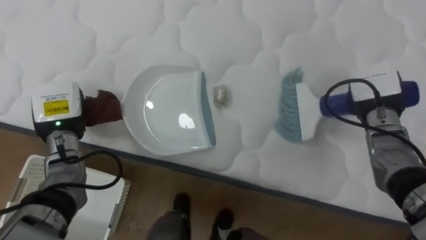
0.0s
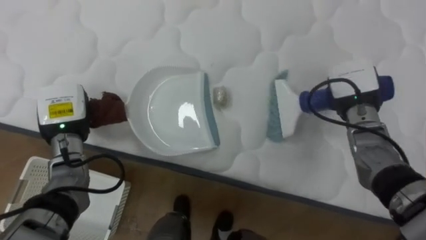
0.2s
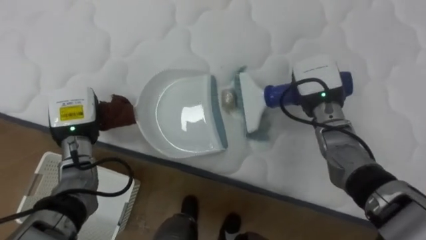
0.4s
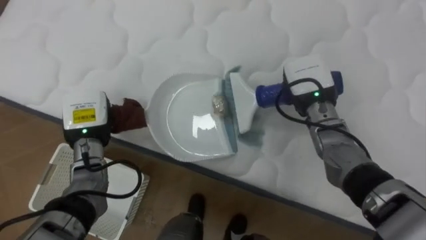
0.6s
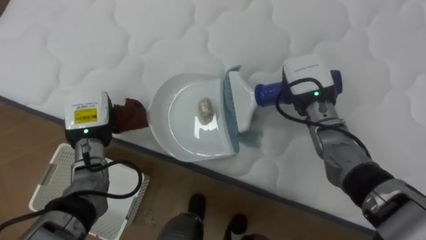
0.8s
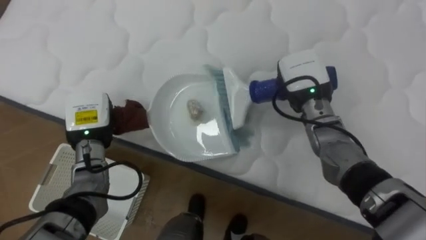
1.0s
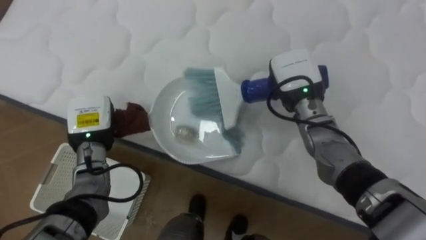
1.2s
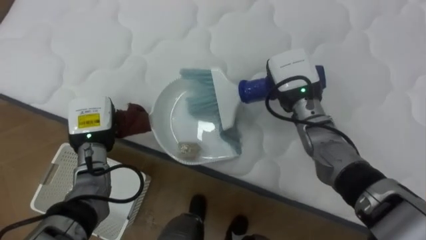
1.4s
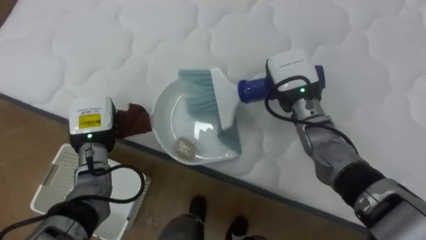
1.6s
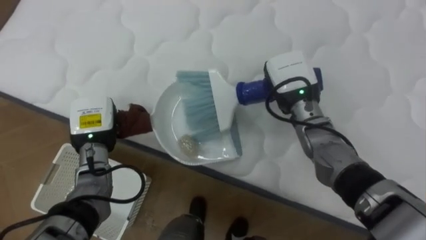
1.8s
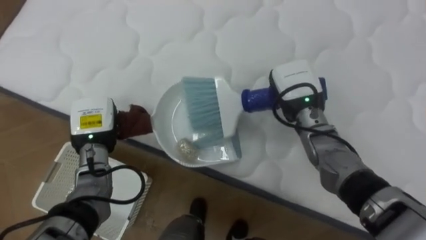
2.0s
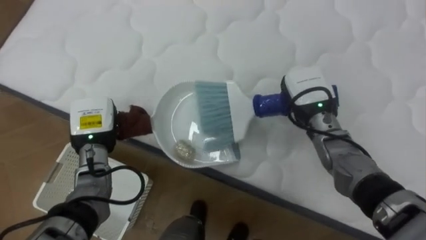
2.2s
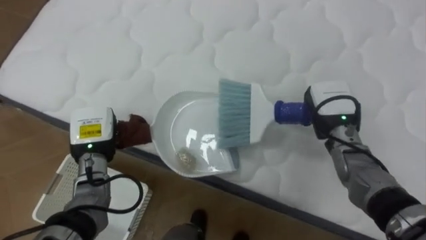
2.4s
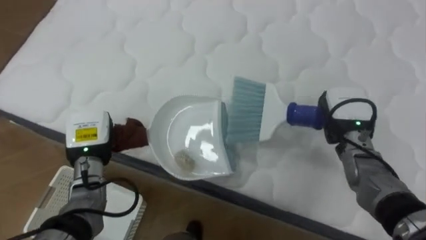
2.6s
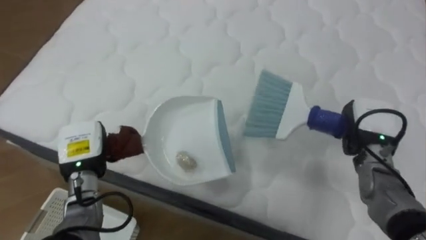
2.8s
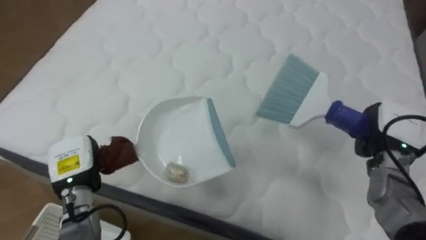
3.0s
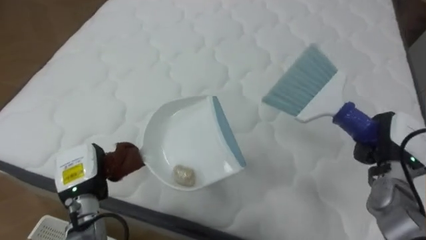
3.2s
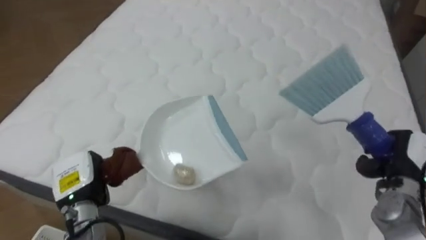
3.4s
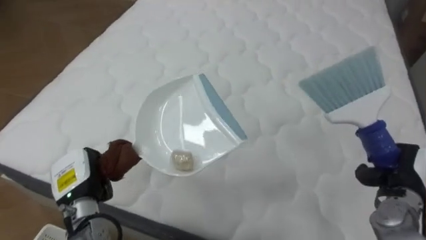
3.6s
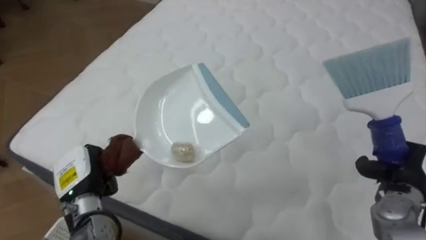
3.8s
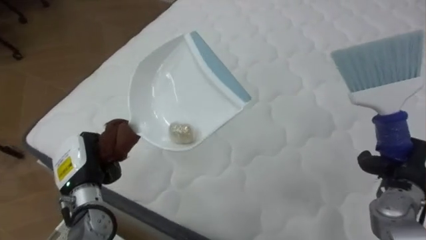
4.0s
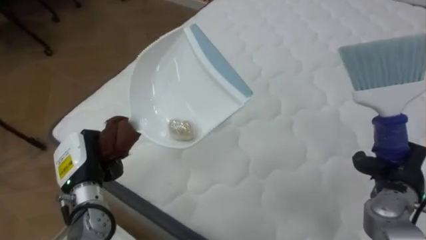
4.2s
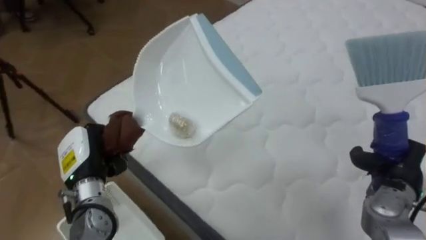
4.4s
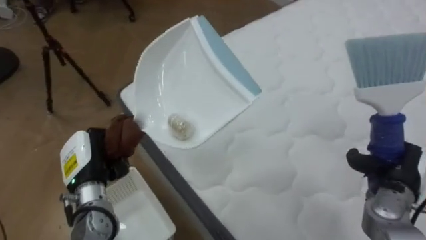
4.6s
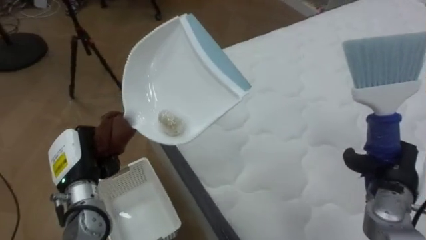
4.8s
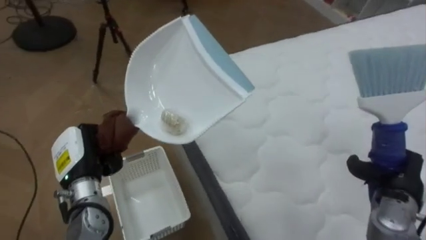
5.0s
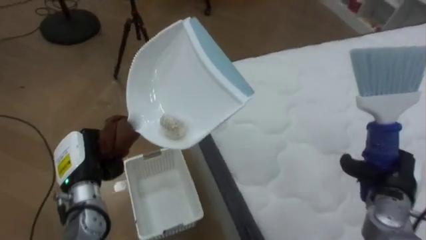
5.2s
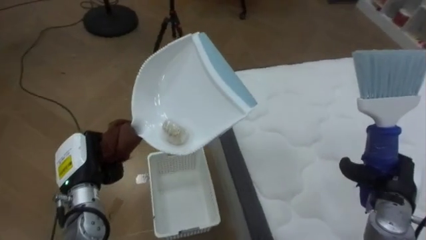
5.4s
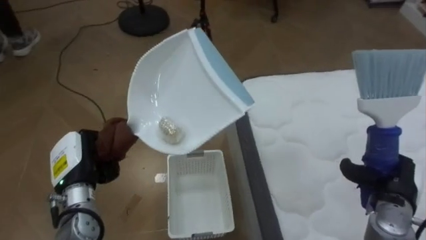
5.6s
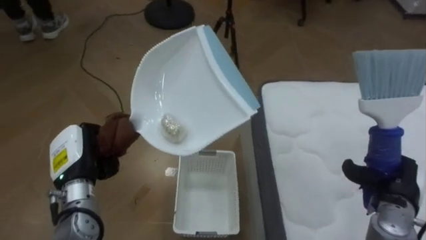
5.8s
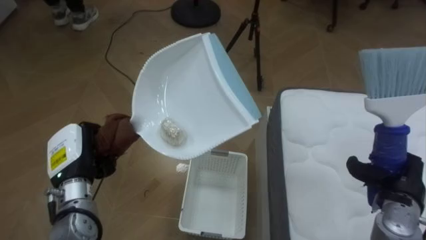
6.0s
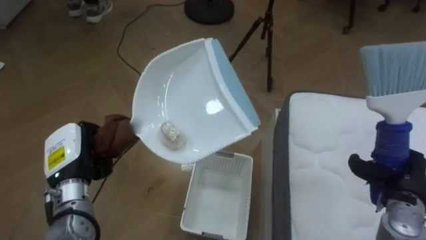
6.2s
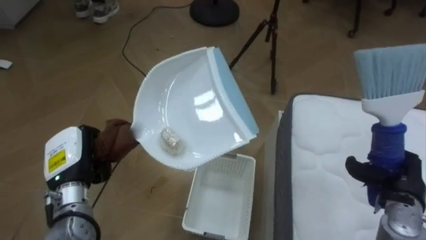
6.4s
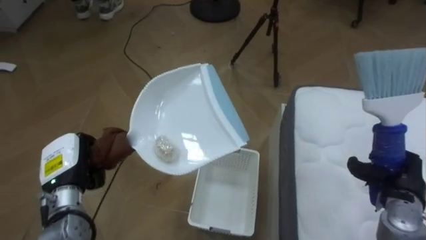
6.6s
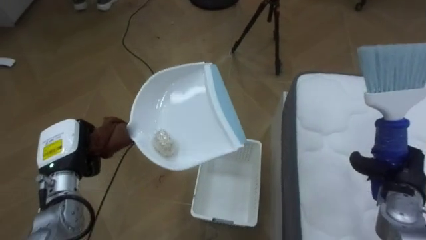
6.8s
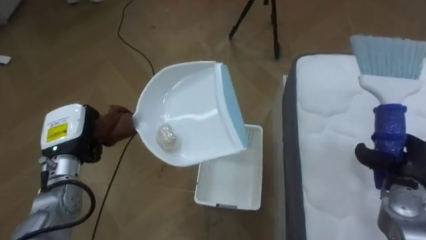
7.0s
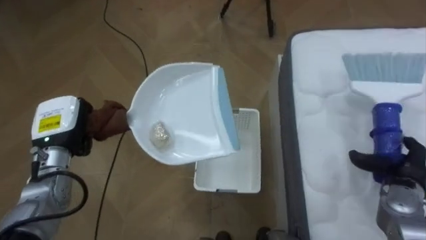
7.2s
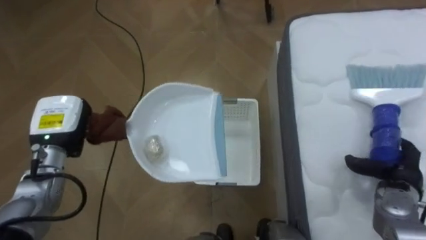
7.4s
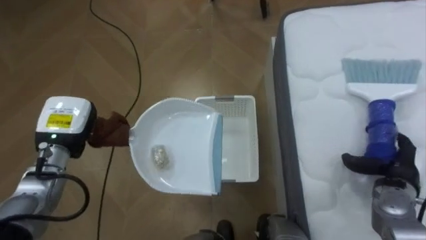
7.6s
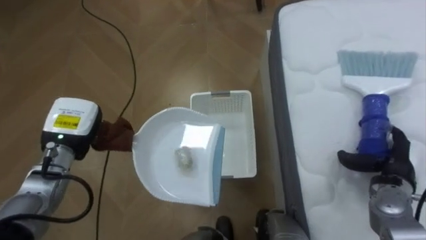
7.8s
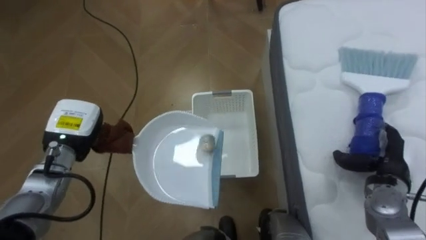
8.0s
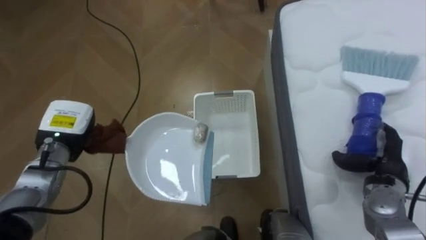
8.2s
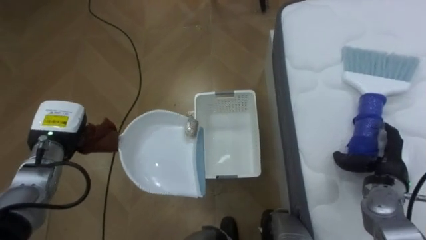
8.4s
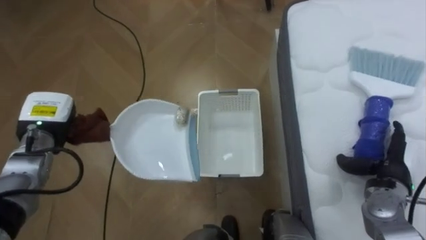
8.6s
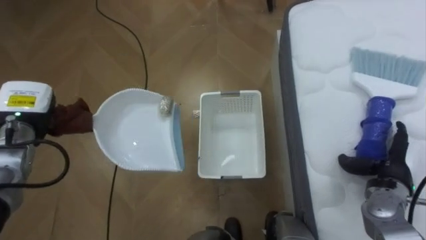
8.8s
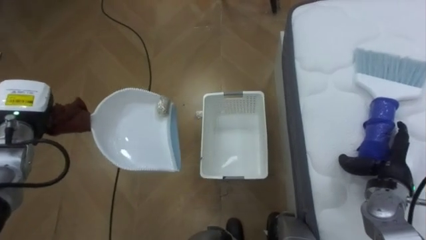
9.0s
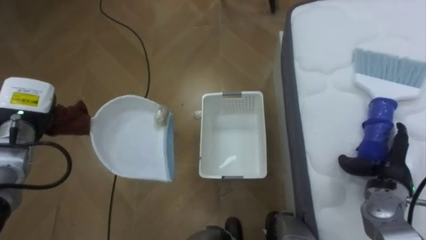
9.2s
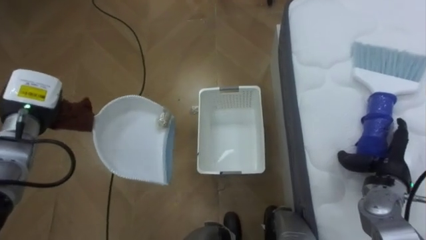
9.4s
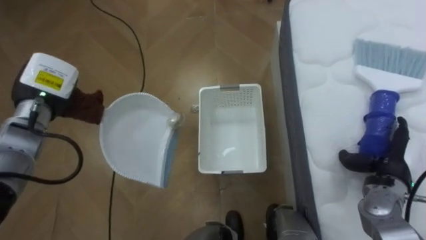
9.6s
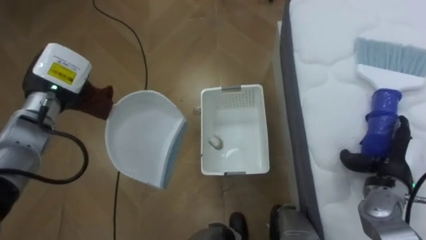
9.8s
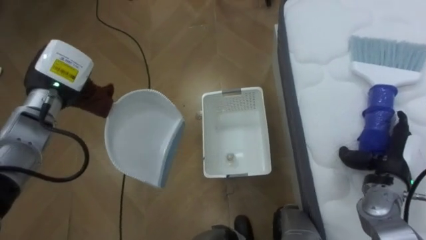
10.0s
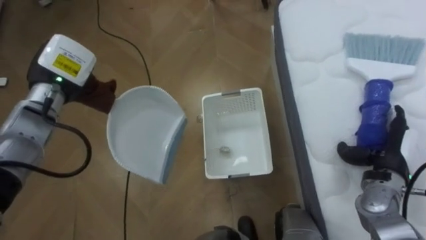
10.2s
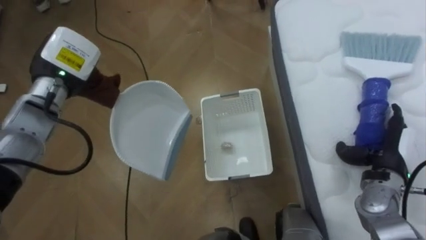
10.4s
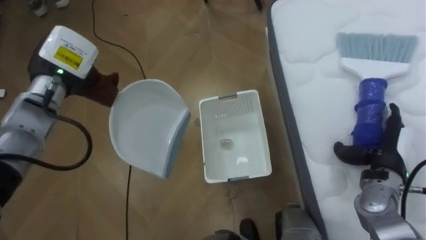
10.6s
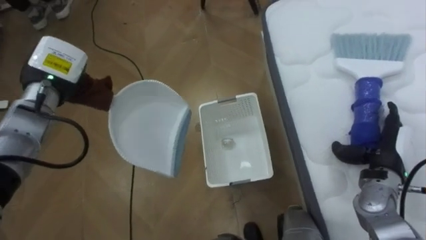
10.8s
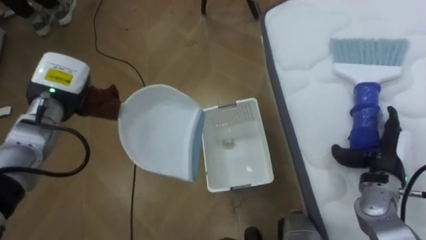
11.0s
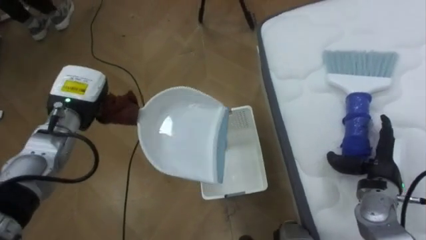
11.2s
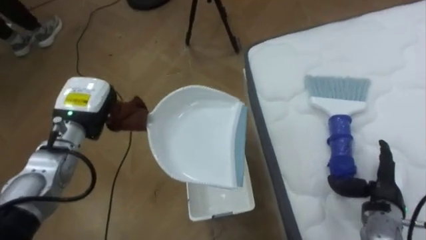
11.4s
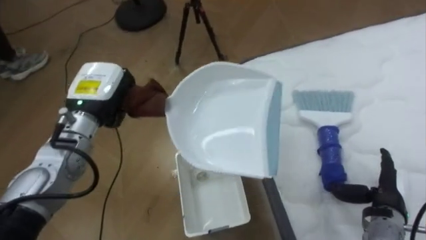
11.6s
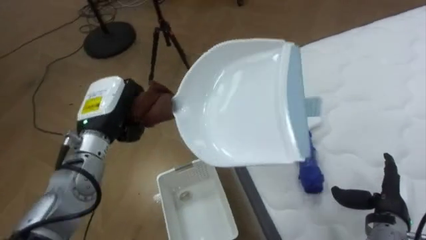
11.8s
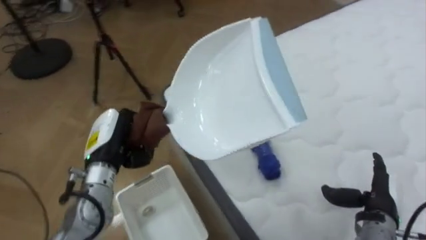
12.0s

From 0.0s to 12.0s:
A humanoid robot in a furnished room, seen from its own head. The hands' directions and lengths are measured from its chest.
Task of the whole recording: Pick up the brush on your right and the dustpan on your left. Use the brush to sweep the crumpled paper on the bed into the dustpan, then turn left and empty it into the basket.
From 0.0s to 1.6s: The right hand travels to the left by roughly 15 cm. The left hand goes some 5 cm to the right.
From 1.6s to 3.0s: The right hand goes roughly 20 cm to the right. Meanwhile the left hand is displaced backward by approximately 5 cm.
From 3.0s to 4.4s: The robot rotates some 25 degrees to its left. The right hand travels backward by about 10 cm.
From 4.4s to 6.0s: The robot turns to its left by about 60 degrees.
From 6.0s to 7.6s: The right hand opens. The left hand travels forward by about 5 cm.
From 7.6s to 9.0s: The left hand shifts roughly 5 cm to the left.
From 9.0s to 10.4s: The left hand goes approximately 10 cm to the right and upward.
From 10.4s to 12.0s: The robot rotates about 35 degrees to its right. The right hand travels backward and downward by approximately 10 cm; the left hand shifts some 15 cm downward, backward and to the right.

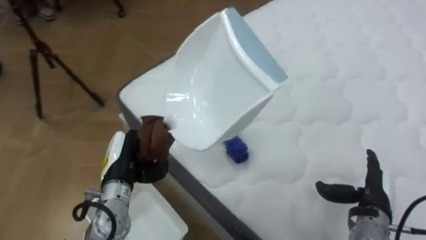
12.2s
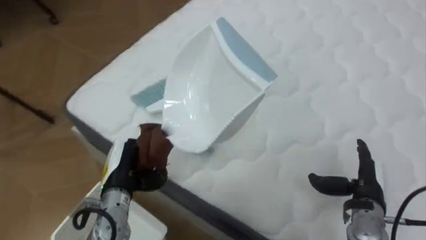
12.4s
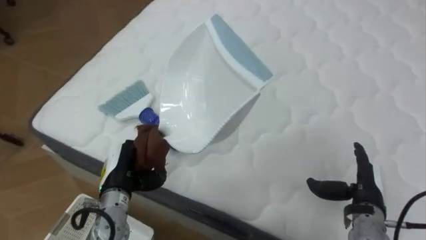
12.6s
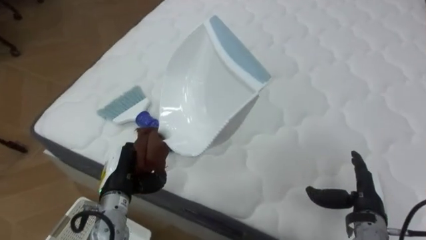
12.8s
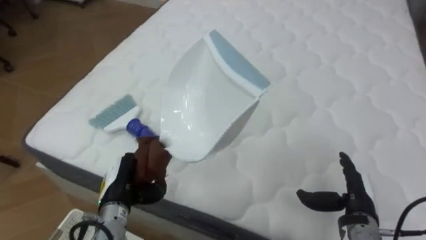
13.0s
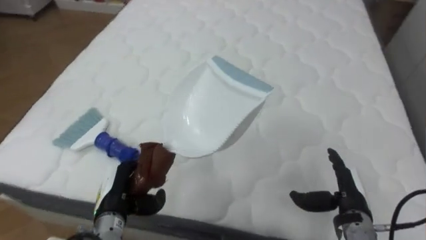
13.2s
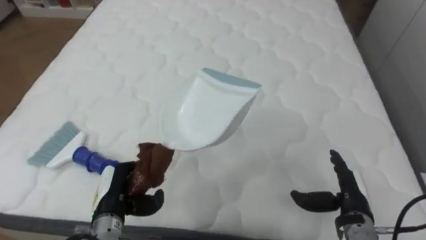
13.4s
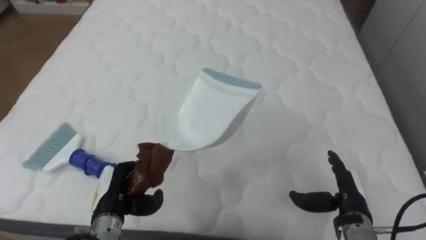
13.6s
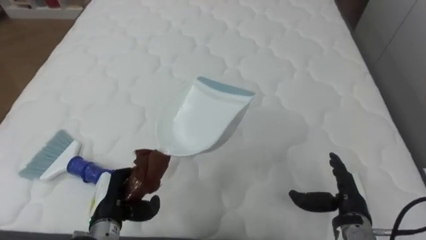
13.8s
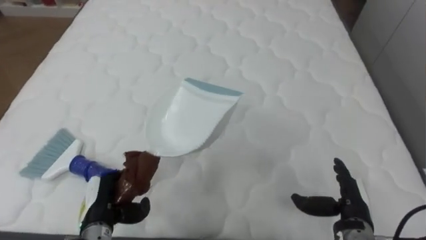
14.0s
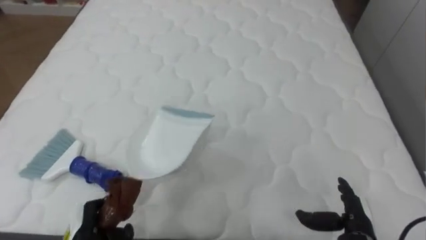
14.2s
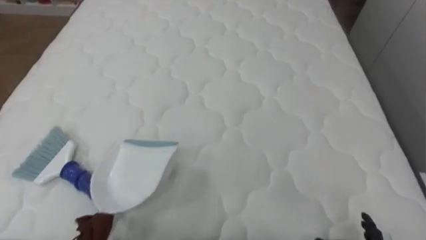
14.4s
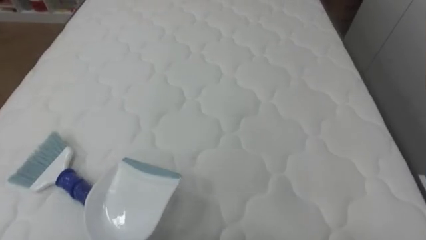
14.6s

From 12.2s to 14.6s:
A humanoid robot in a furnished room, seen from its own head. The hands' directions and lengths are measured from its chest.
Task of the whole recording: Pick up the brush on your right and the dustpan on your left. Use the brush to sweep the crumpled paper on the bed into the dustpan, then turn left and empty it into the basket.
From 12.2s to 13.4s: The robot faces some 45 degrees further to its right. The left hand shifts roughly 5 cm backward.

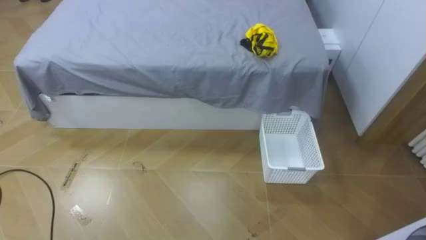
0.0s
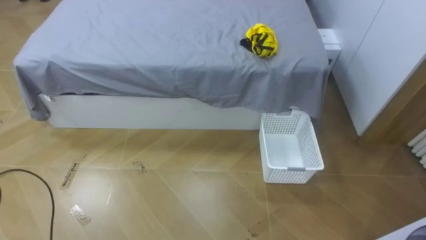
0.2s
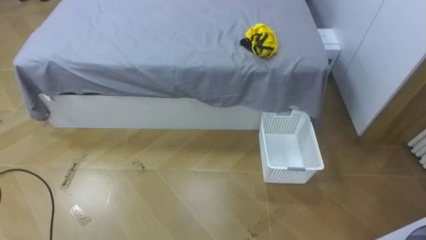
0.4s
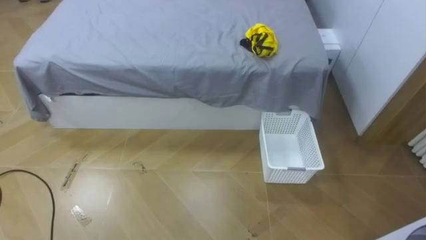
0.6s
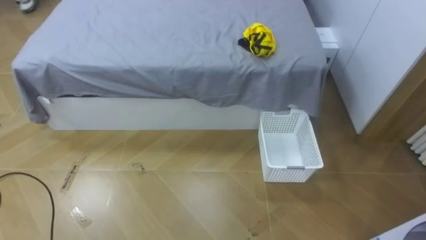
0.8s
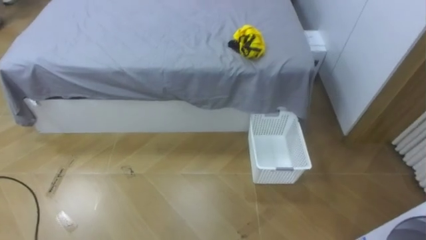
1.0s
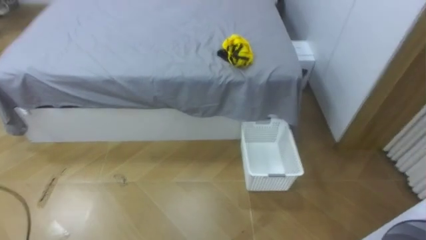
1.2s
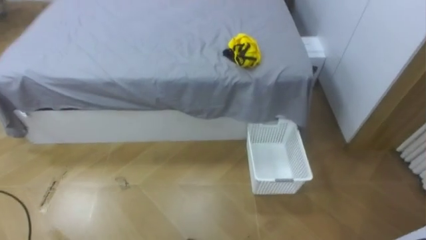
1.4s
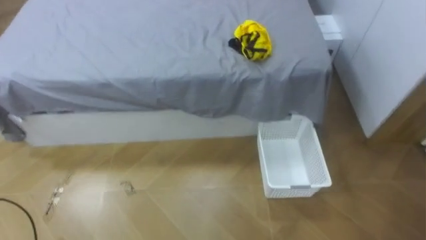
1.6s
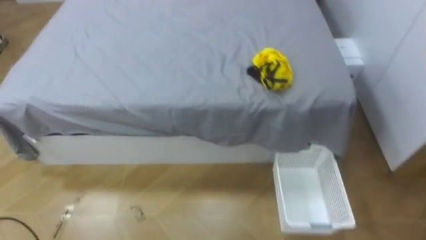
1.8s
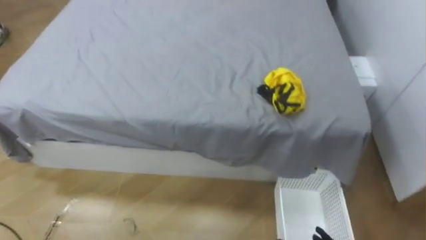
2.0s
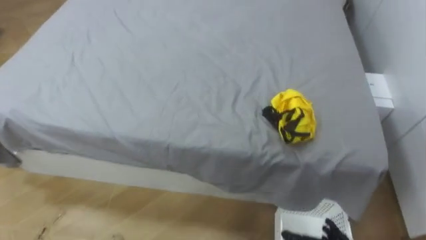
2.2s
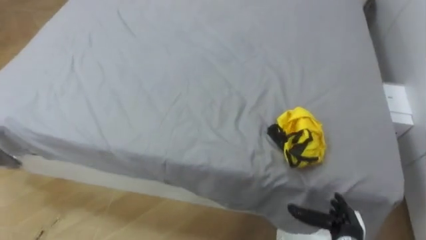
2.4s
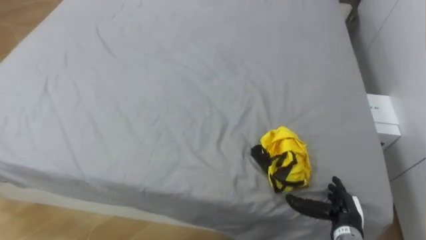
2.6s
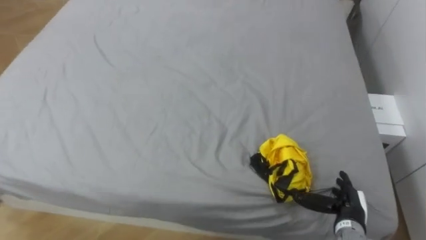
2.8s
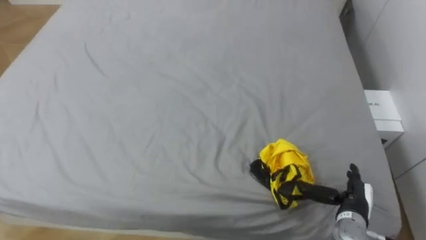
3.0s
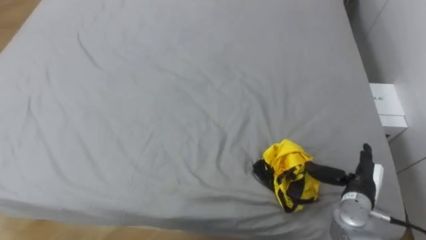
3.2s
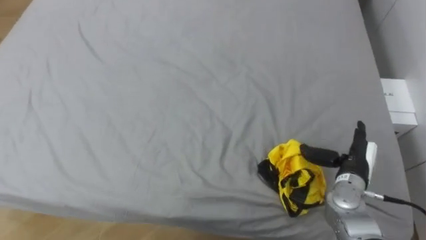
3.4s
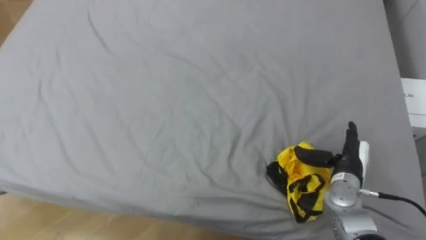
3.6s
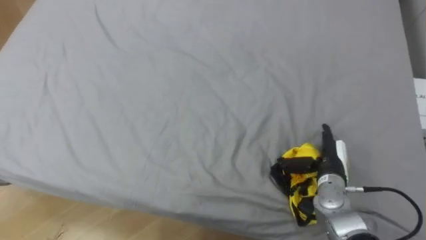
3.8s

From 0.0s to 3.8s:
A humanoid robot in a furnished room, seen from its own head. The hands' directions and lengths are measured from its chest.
Task of the whole recording: Pick up the yellow clothes on the bed and place them into the white basket on the right.
From 2.6s to 3.8s: The right hand moves forward and upward, roughly 10 cm.
